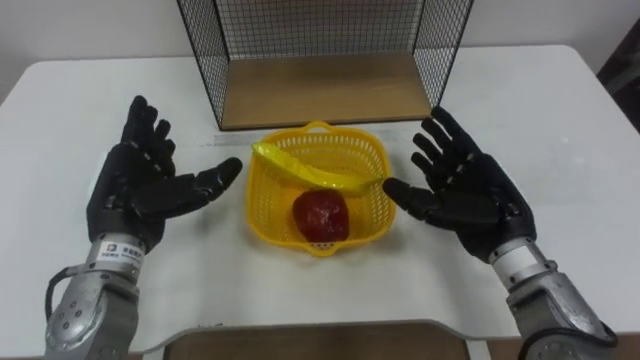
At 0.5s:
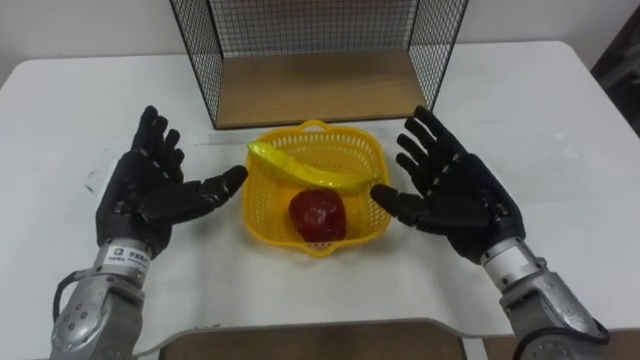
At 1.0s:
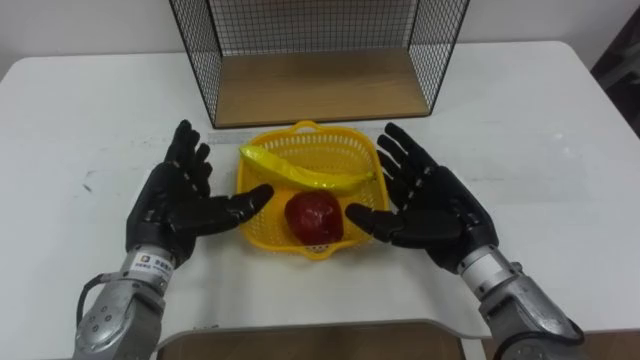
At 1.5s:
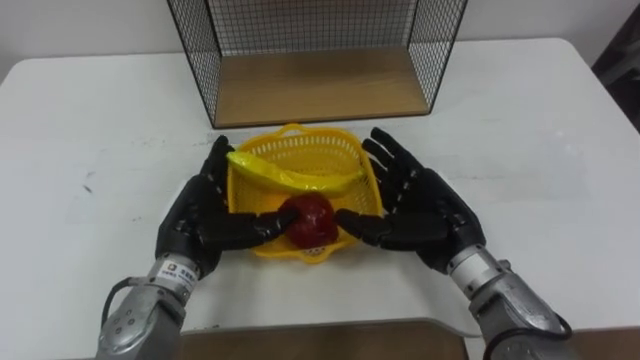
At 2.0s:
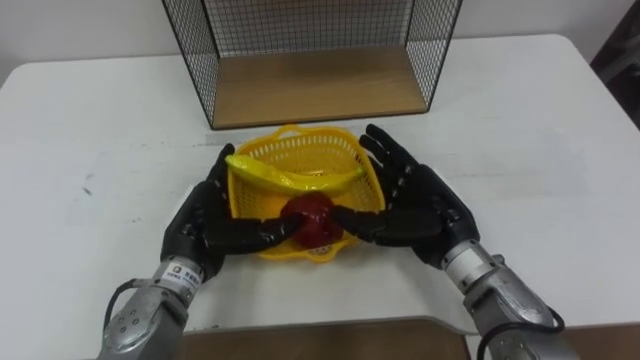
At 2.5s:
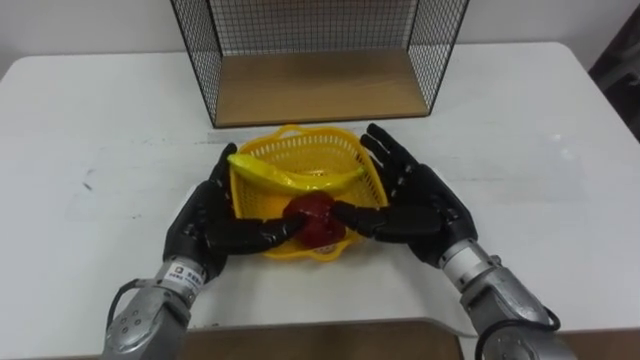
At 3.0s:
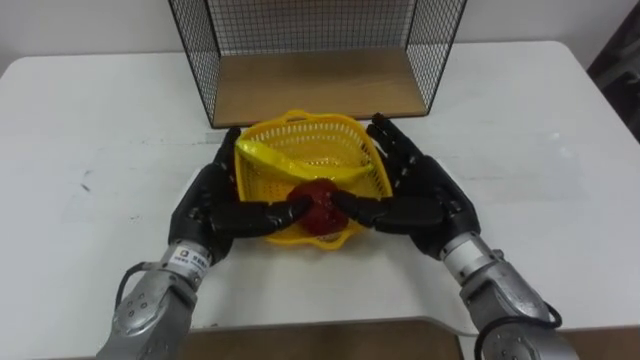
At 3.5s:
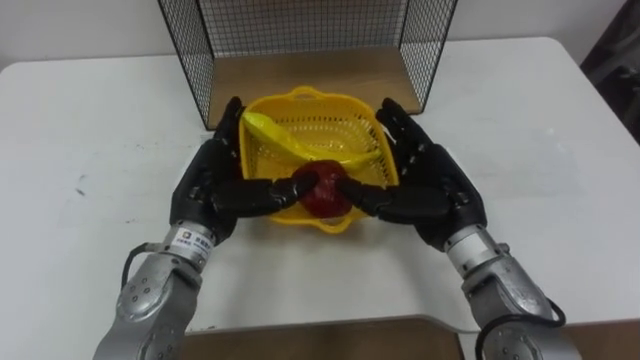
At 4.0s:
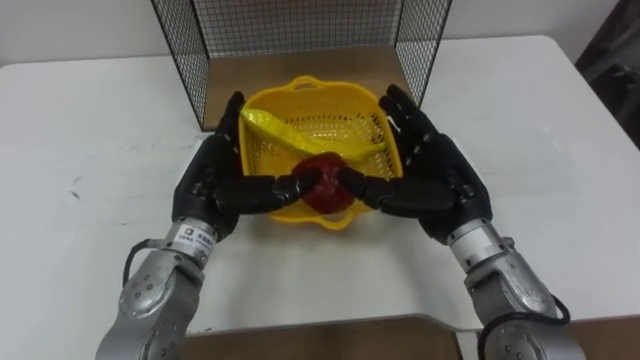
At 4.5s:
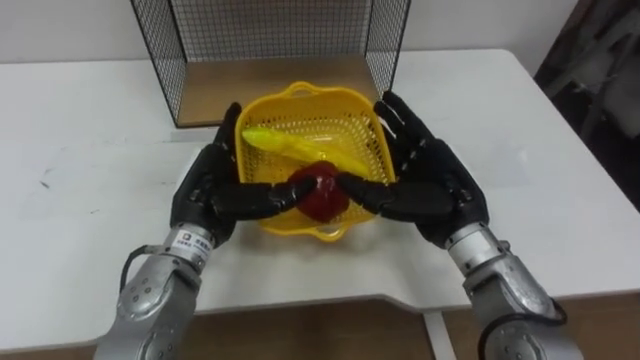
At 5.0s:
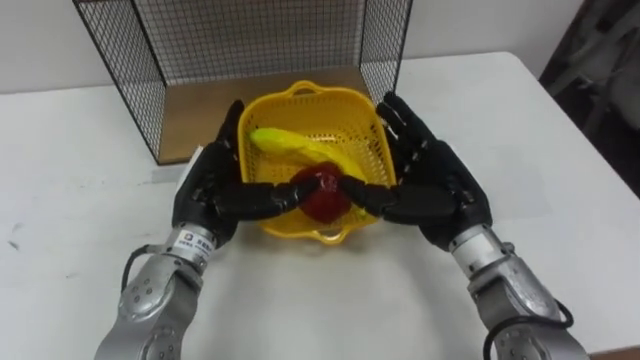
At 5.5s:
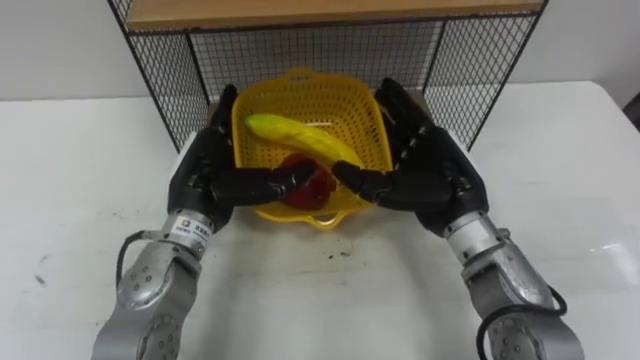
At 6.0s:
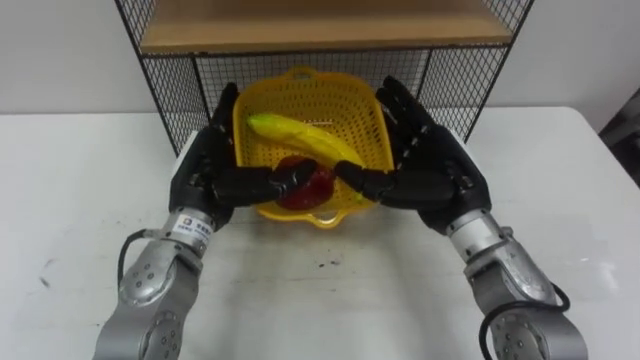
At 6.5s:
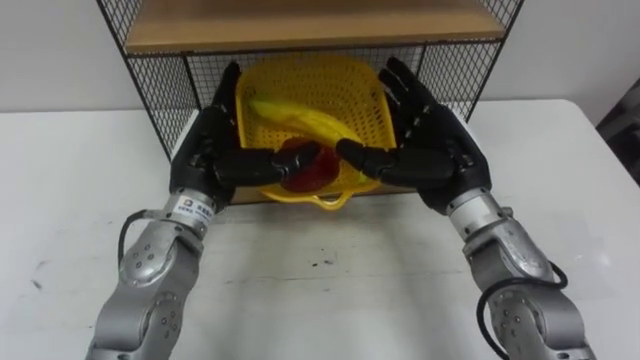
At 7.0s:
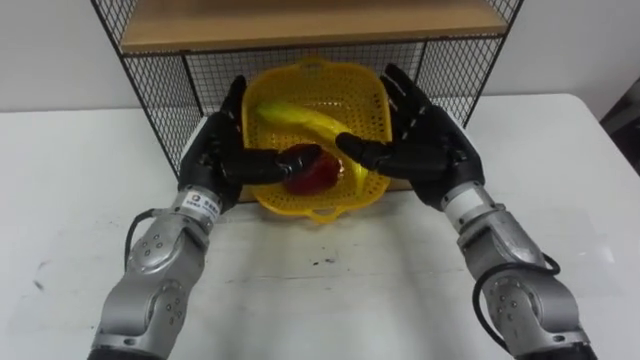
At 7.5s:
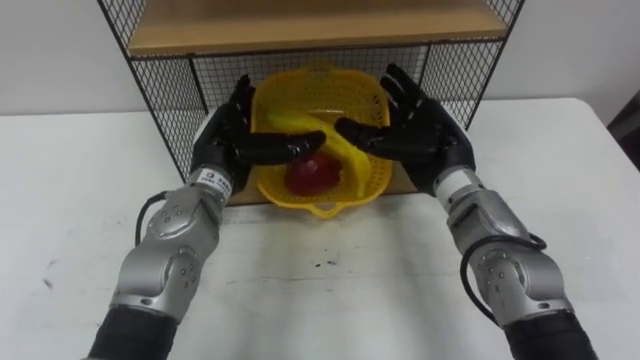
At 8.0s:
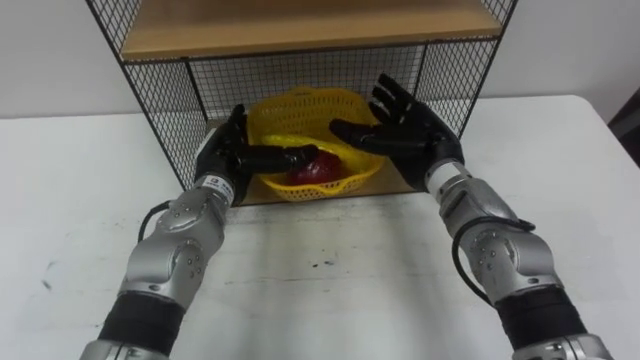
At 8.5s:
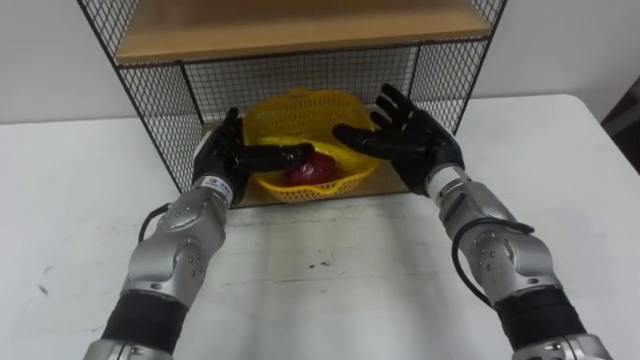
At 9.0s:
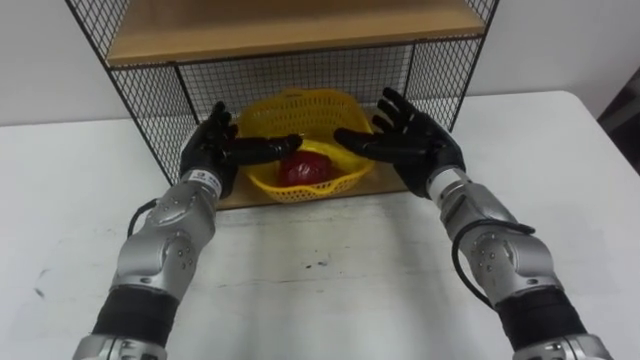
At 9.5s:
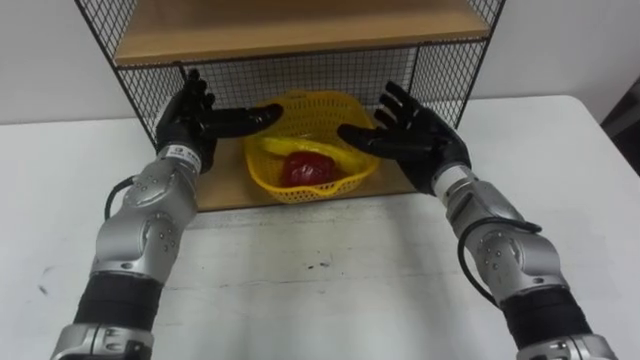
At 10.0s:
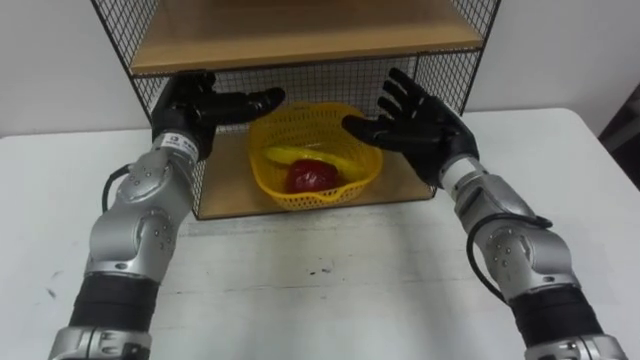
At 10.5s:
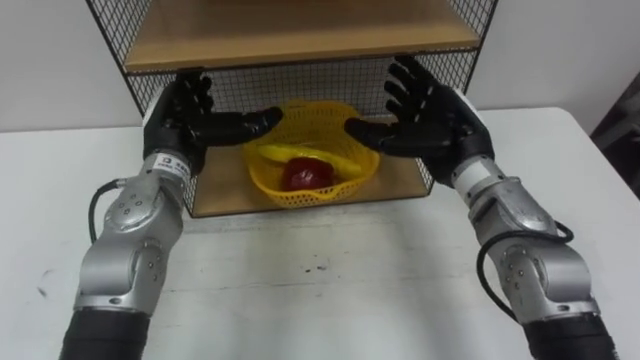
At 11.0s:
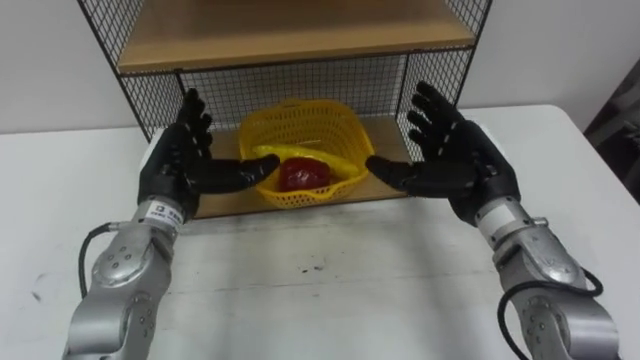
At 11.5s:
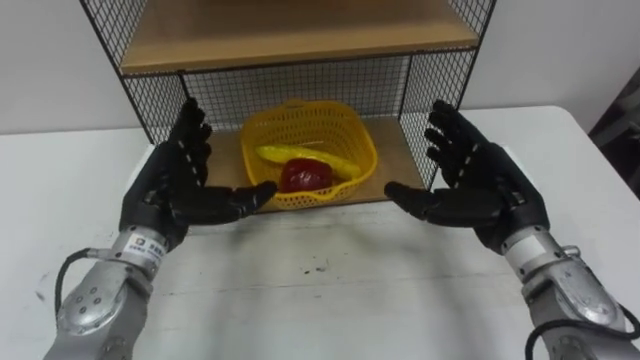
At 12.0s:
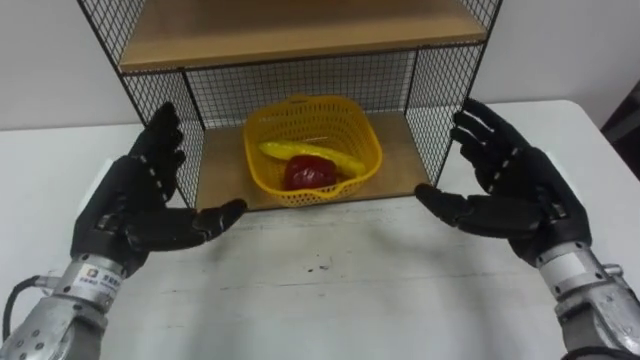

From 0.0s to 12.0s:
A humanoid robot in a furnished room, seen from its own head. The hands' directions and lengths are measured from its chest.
Task of the whole recording: Put the fruit on the table into the basket, then place the basket on the shelf.
From 0.0s to 2.0s: The right hand heads to the left, covering some 5 cm; the left hand goes some 10 cm to the right and downward.
From 2.0s to 4.0s: The left hand shifts about 5 cm upward.
From 6.0s to 8.0s: The two hands go roughly 5 cm forward.
From 8.0s to 10.0s: The left hand moves upward, roughly 5 cm.
From 10.0s to 12.0s: The right hand goes approximately 15 cm backward and to the right; the left hand is displaced backward by roughly 15 cm.

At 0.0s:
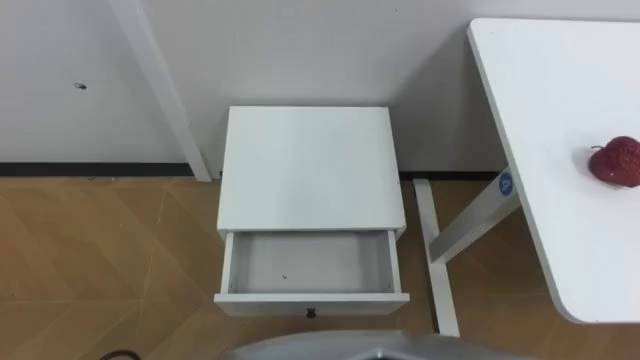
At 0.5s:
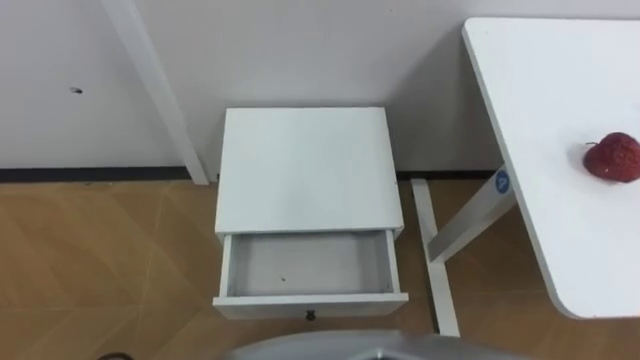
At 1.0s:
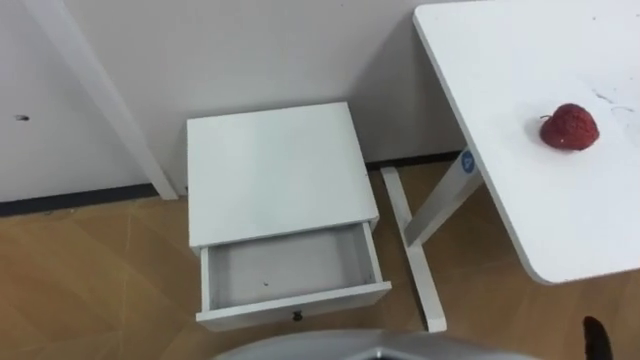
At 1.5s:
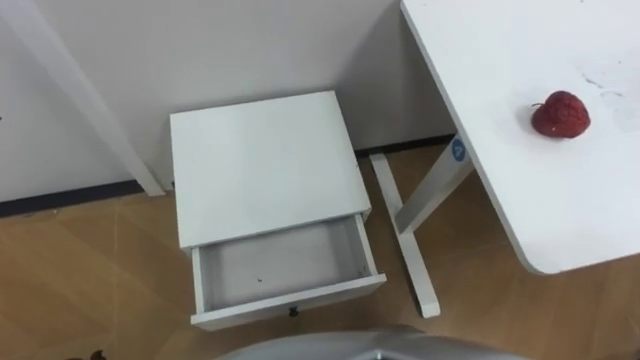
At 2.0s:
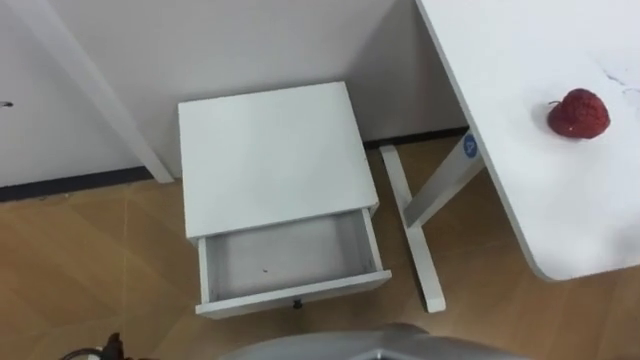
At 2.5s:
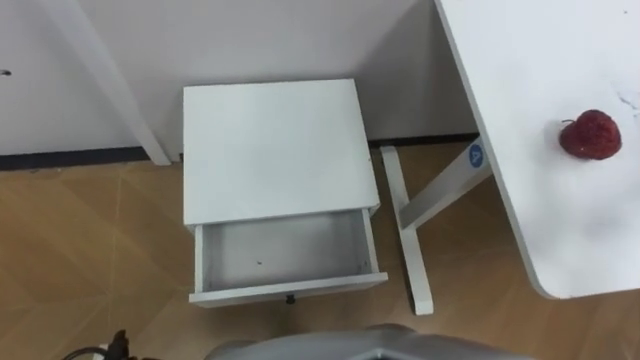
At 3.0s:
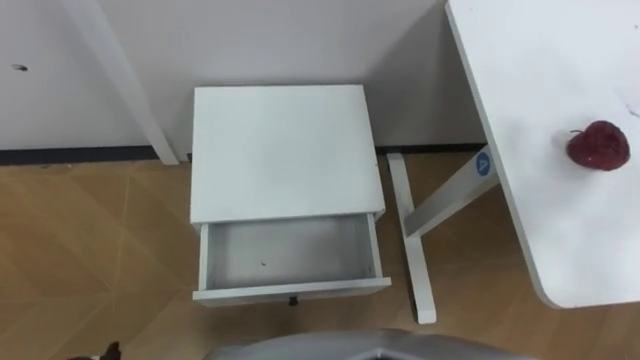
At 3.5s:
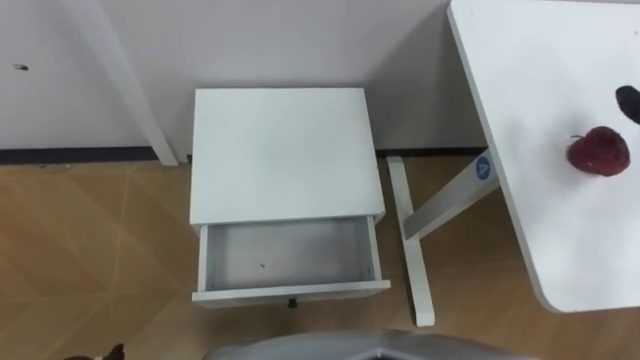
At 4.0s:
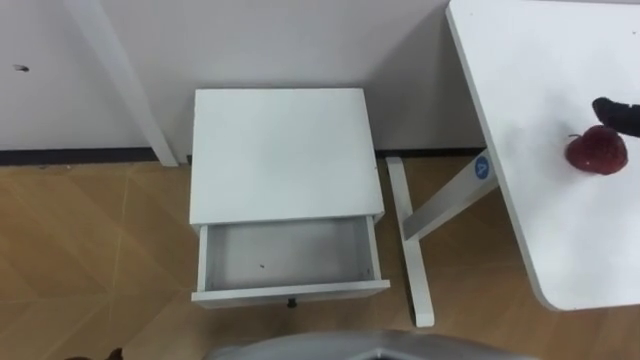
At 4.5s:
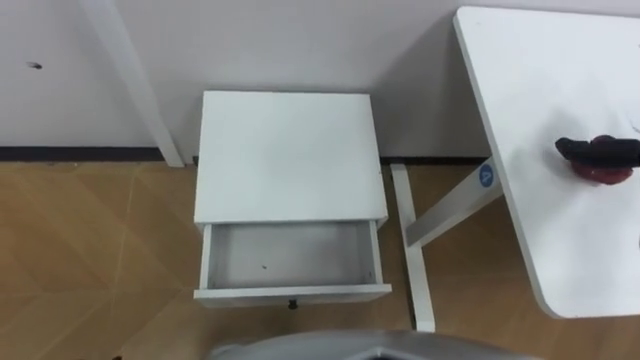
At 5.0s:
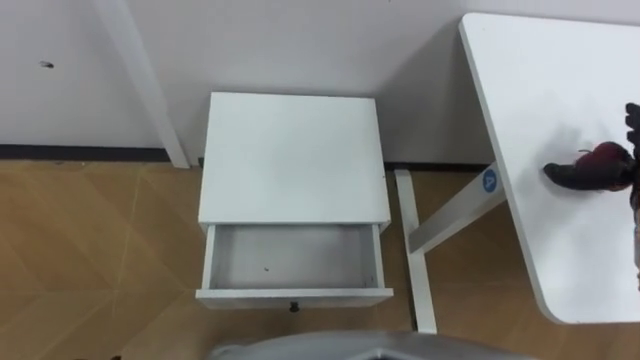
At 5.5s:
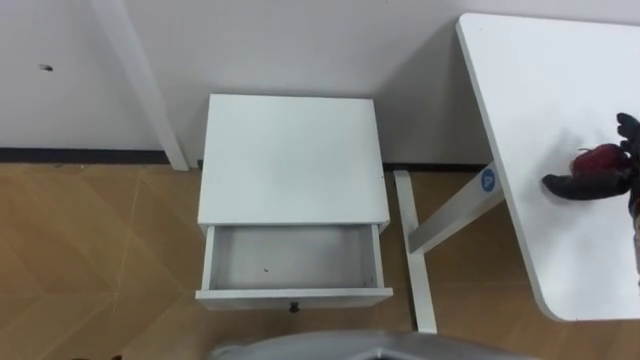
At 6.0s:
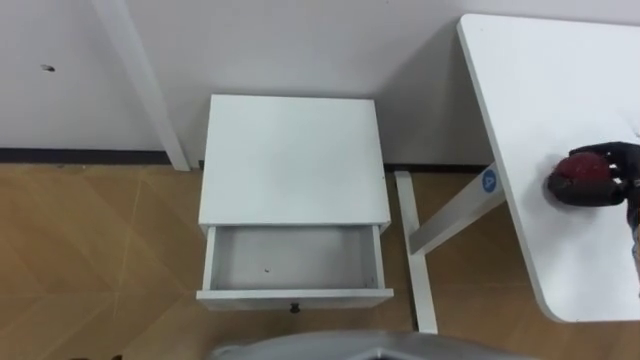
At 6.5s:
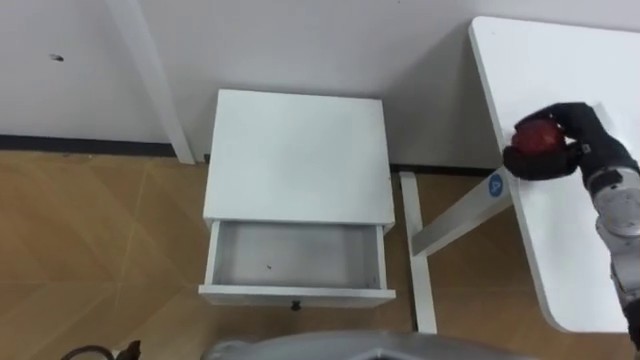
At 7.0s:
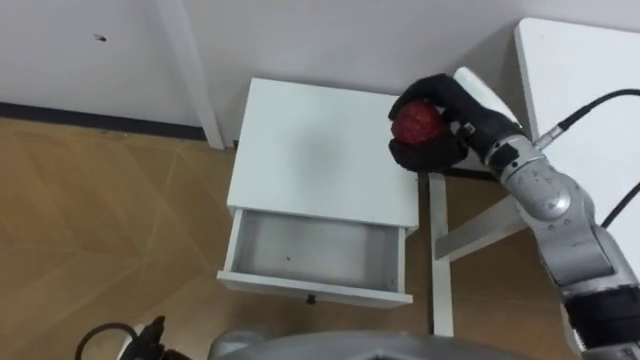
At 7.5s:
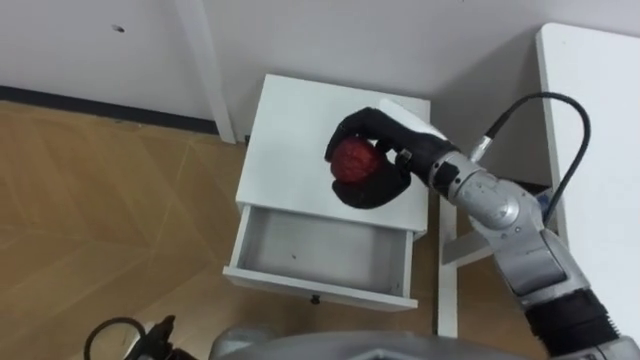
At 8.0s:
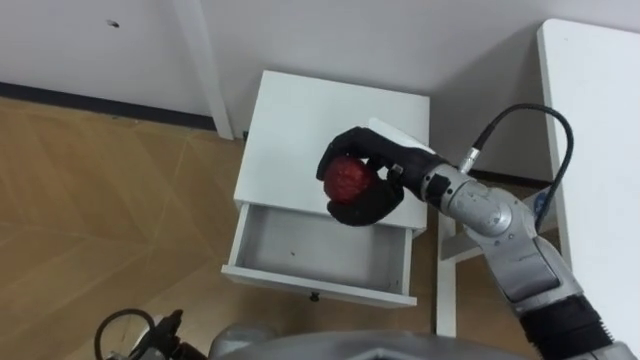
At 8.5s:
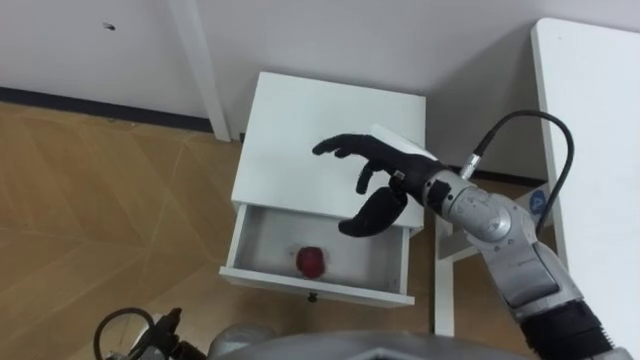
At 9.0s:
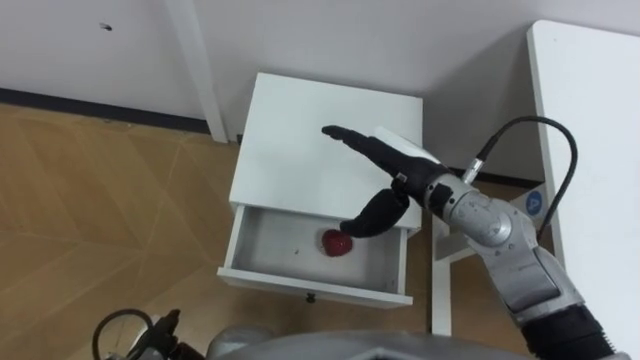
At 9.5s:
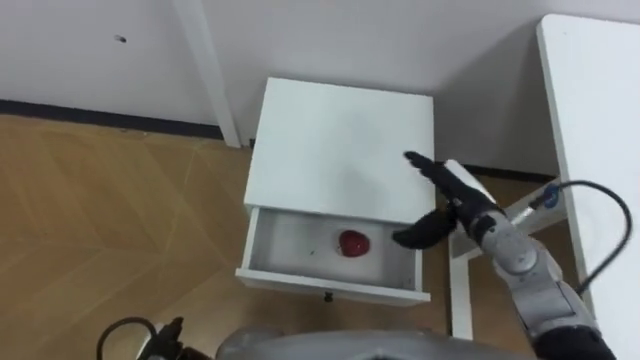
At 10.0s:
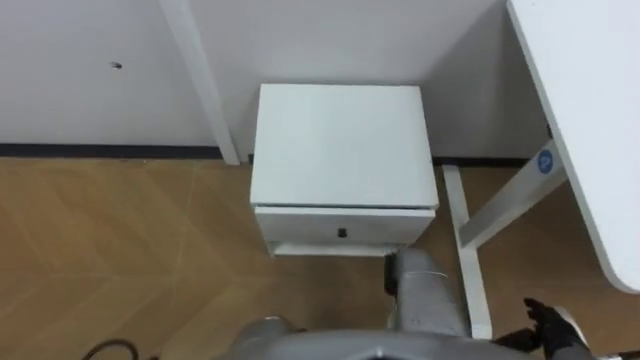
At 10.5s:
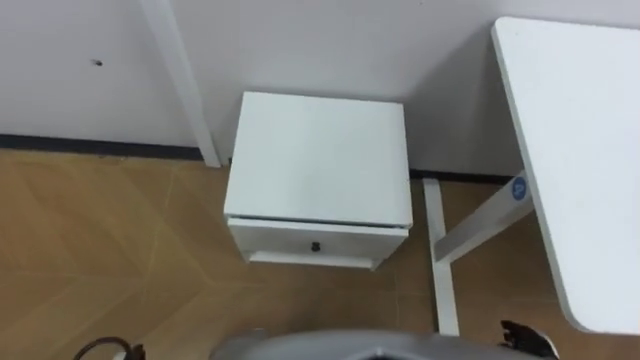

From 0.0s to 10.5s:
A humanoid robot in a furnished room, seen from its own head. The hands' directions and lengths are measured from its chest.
Task of the whole recording: Pick up the apple from the table, put it in the drawer, and close the drawer with leg.
From 6.5s to 8.5s: The right hand travels to the left by some 25 cm, and opens its fingers.
From 8.5s to 10.5s: The right hand moves backward, downward and to the right, about 35 cm.
